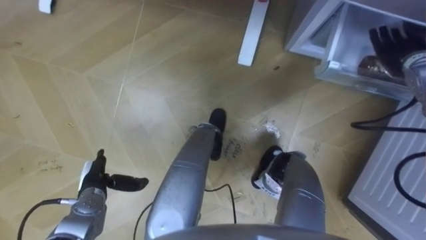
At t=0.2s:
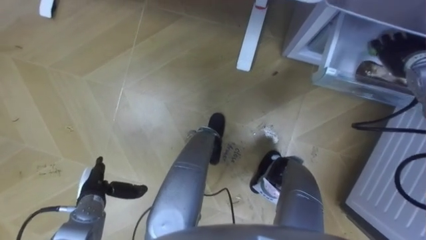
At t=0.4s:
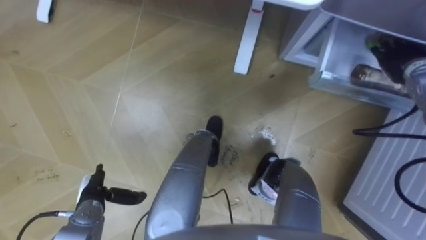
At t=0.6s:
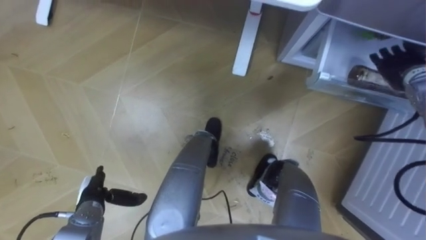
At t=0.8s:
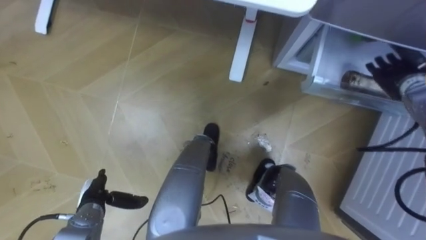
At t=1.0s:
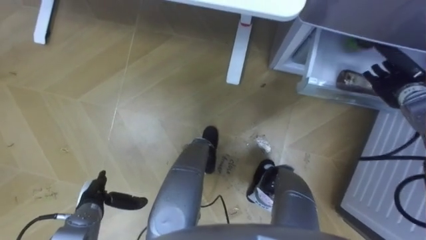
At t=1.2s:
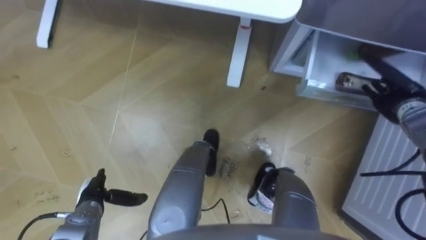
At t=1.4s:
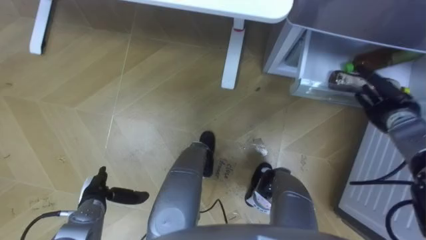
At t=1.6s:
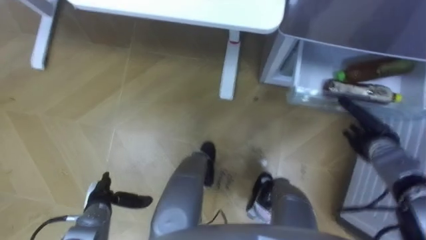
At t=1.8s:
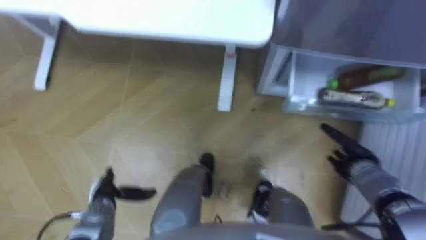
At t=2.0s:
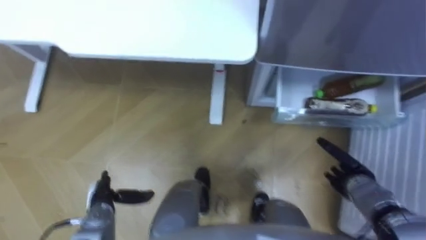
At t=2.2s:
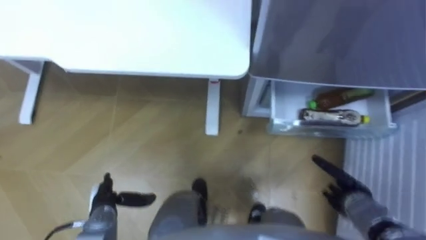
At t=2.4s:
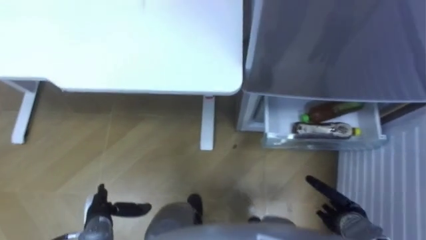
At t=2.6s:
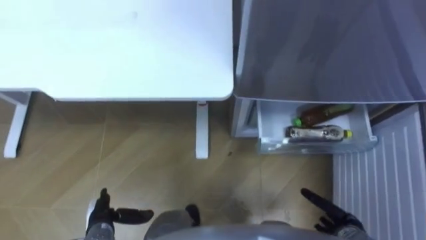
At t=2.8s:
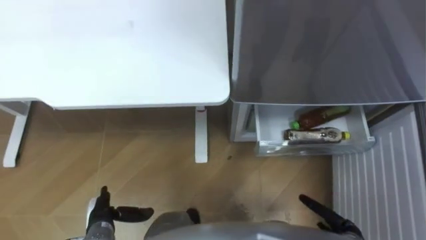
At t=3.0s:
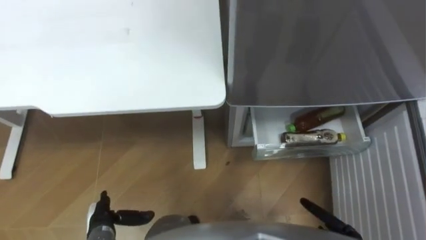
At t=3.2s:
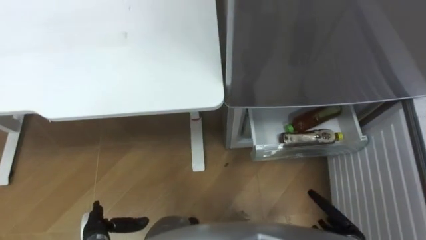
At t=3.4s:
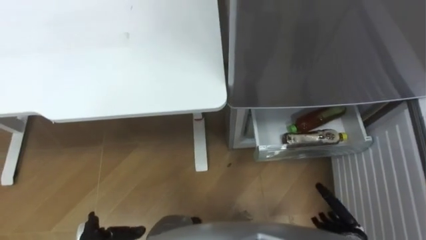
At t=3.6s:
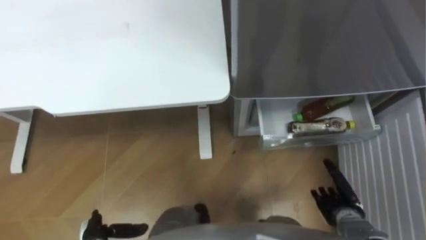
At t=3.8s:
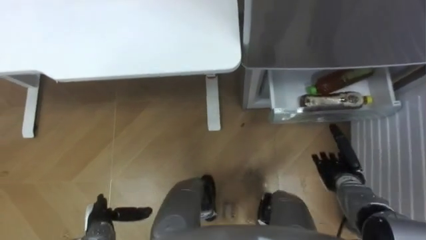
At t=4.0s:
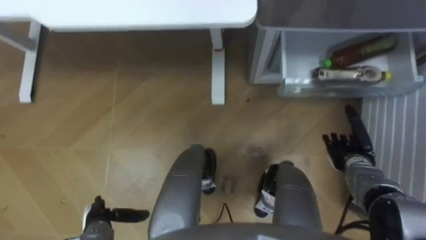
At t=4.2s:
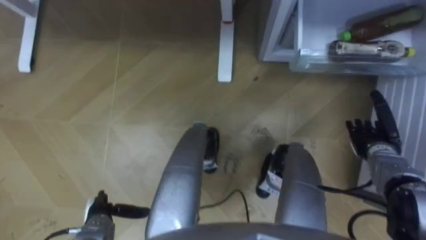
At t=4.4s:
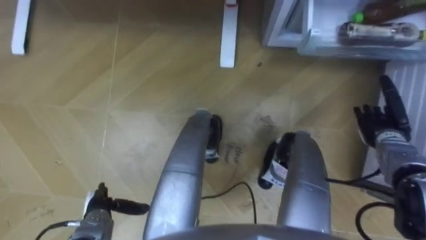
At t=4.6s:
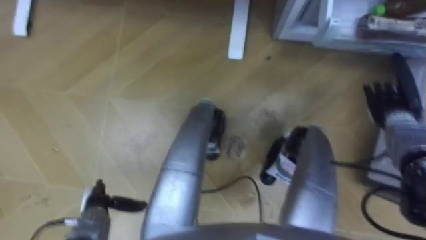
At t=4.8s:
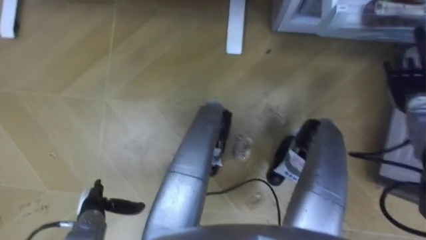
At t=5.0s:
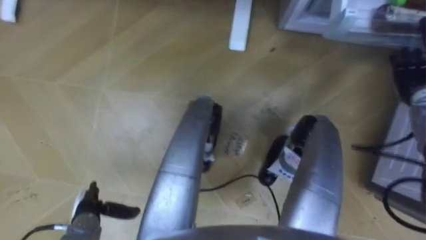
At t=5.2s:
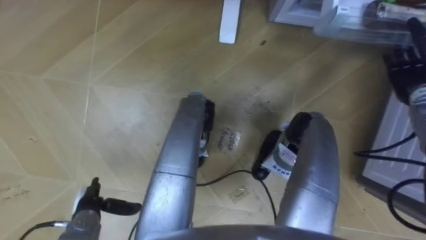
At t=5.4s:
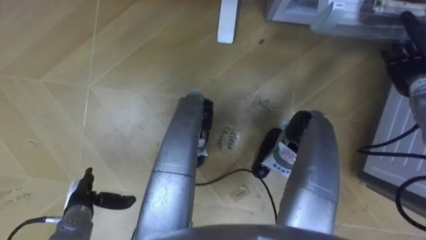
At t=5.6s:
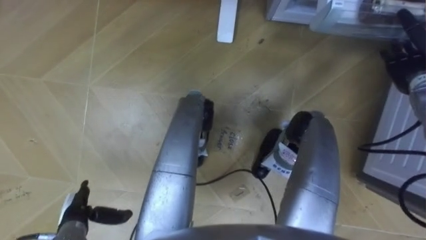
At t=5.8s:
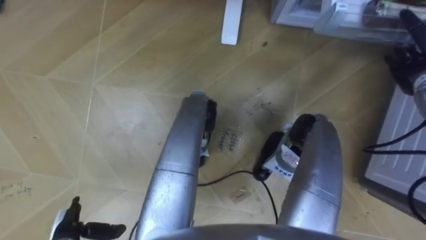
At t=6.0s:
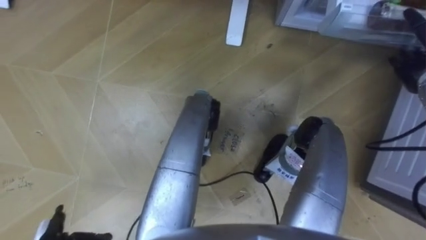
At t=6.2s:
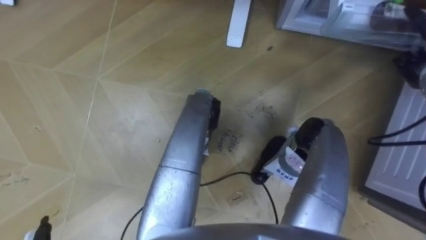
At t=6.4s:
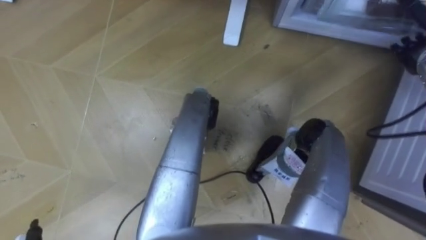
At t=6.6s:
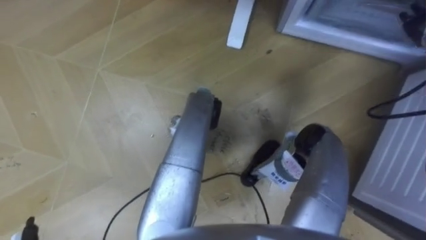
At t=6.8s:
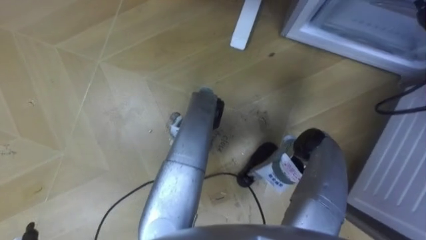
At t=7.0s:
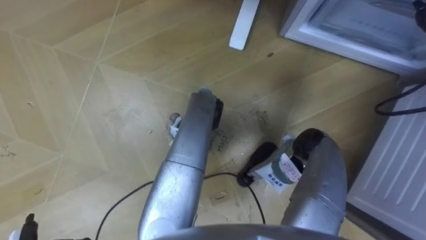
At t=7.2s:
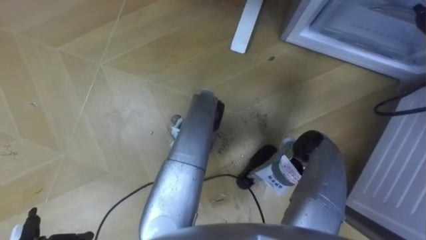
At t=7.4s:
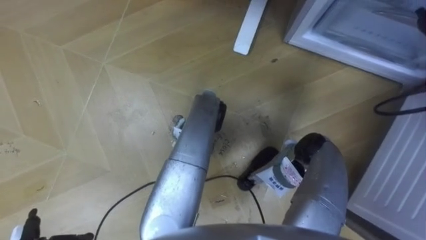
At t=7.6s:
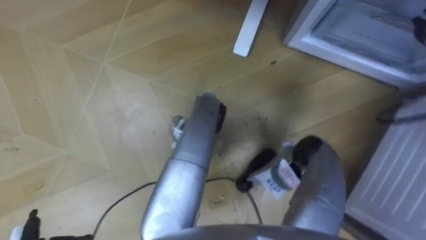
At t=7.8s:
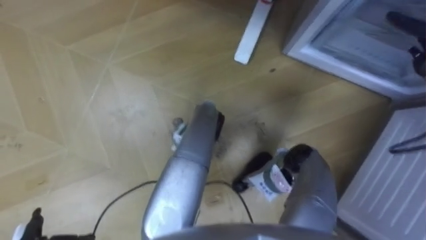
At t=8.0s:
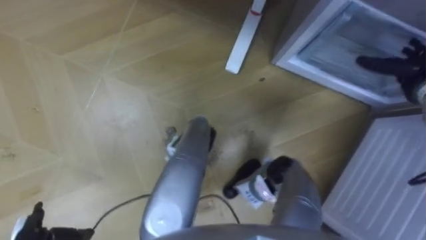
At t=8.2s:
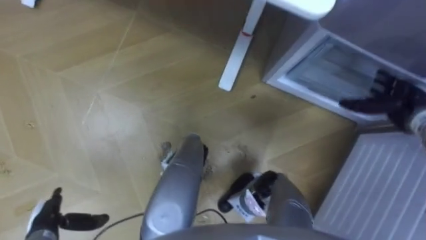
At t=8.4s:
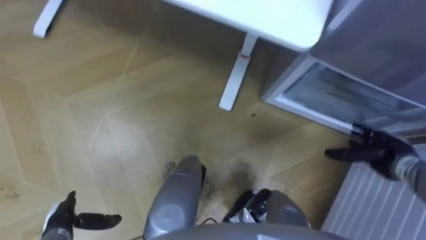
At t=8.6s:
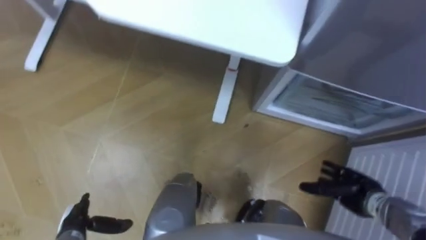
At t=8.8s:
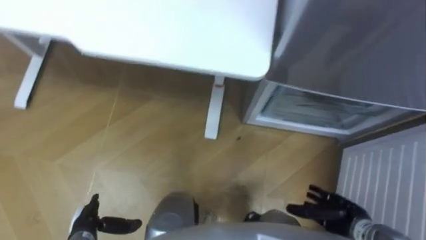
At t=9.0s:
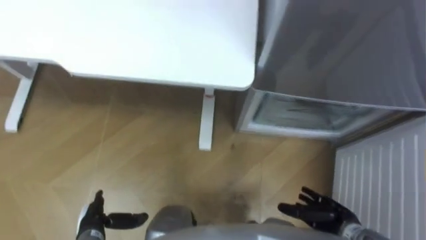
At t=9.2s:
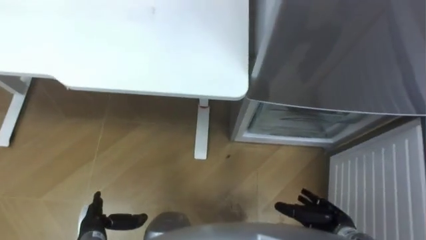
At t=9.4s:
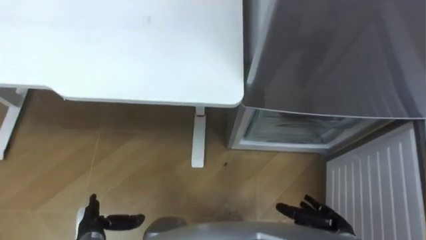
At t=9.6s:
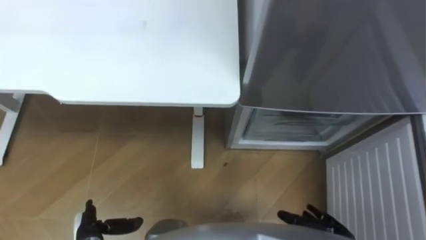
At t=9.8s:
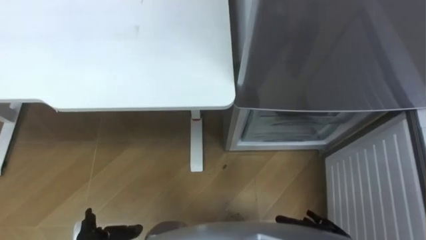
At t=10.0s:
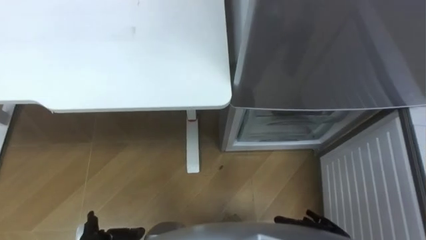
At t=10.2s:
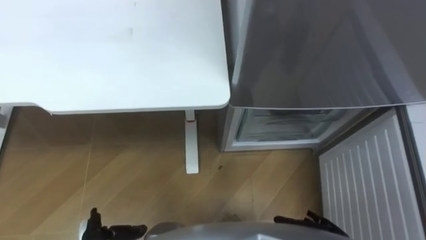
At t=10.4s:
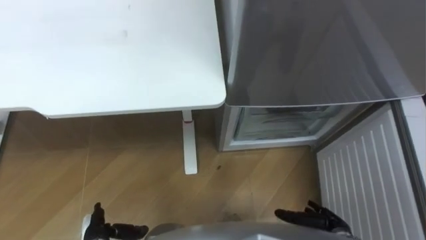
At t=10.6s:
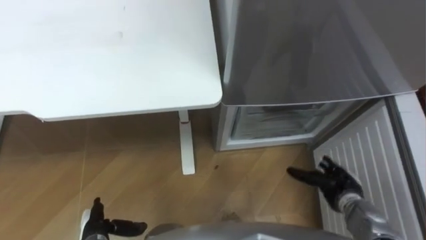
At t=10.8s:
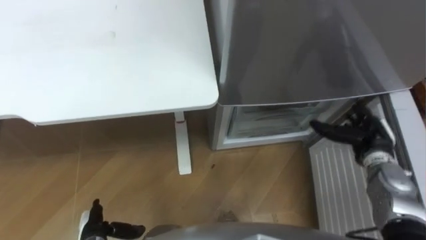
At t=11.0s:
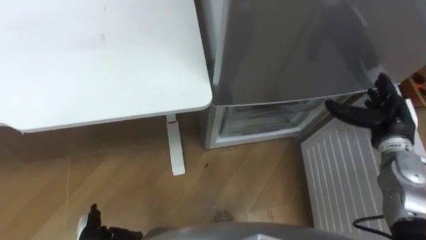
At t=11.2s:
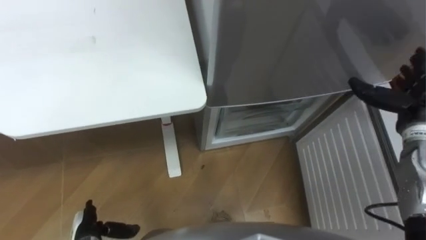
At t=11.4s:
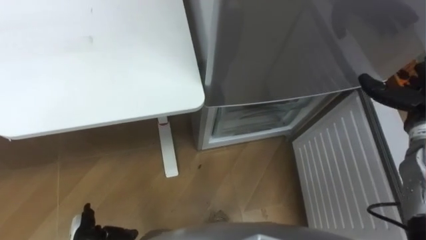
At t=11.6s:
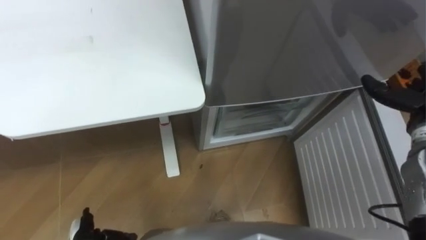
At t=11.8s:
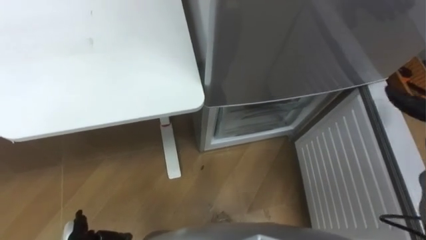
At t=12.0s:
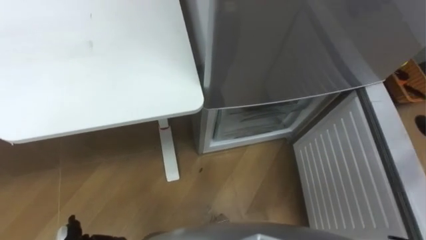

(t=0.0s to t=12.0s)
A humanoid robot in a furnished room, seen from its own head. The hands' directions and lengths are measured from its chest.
Task of the whole recording: Place the drink on the table on the bottom shelf of the refrigerator, then close the drawer and the refrigerator door.
t=0.0s - t=1.6s: The right hand is displaced downward and backward by about 20 cm.
t=1.6s - t=3.0s: The right hand is displaced backward and downward by some 20 cm.
t=3.0s - t=4.4s: The right hand heads forward and upward, covering approximately 25 cm.
t=4.4s - t=6.0s: The right hand is displaced upward and forward by roughly 15 cm.

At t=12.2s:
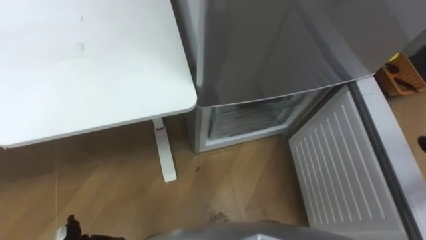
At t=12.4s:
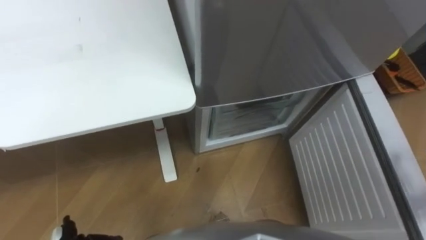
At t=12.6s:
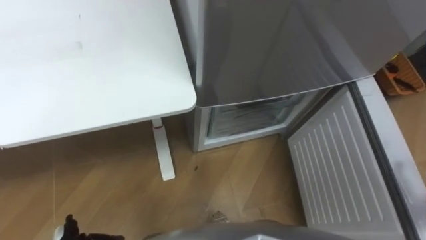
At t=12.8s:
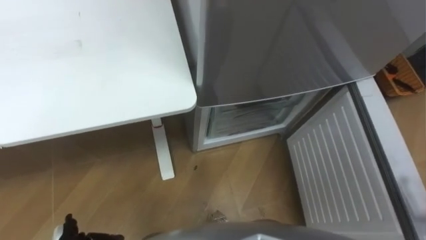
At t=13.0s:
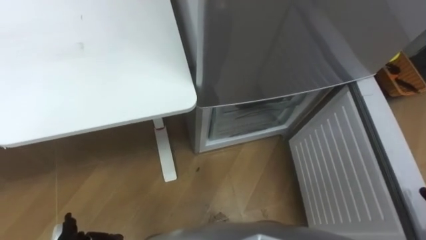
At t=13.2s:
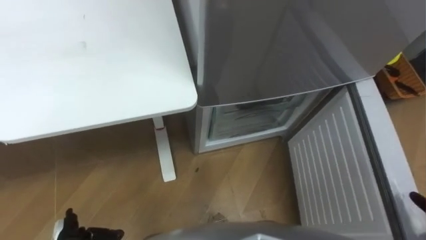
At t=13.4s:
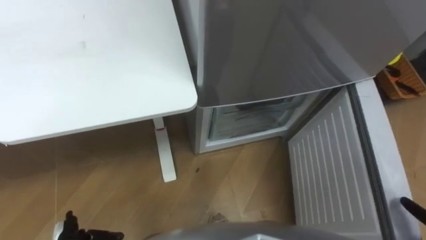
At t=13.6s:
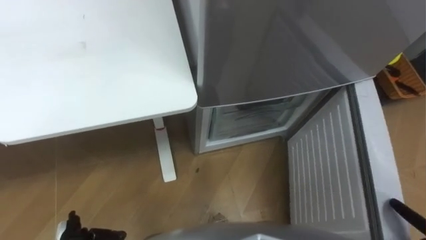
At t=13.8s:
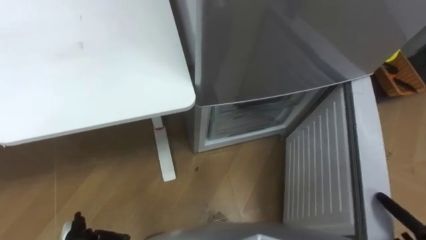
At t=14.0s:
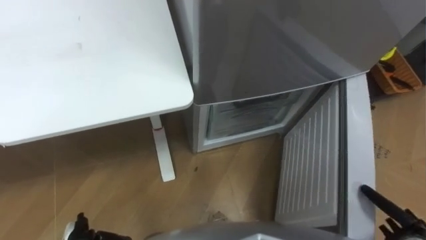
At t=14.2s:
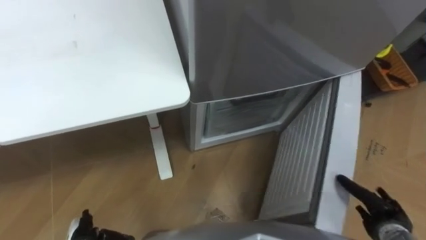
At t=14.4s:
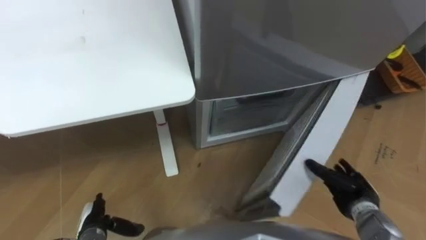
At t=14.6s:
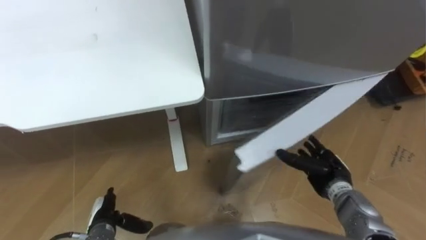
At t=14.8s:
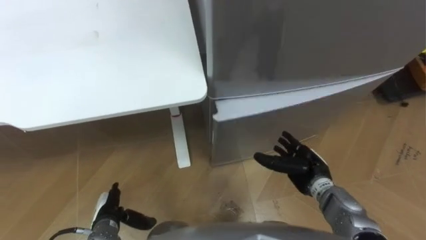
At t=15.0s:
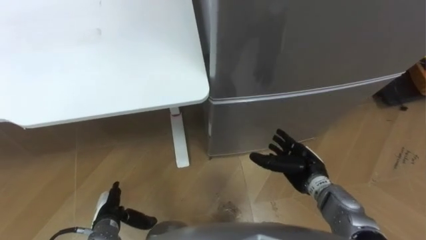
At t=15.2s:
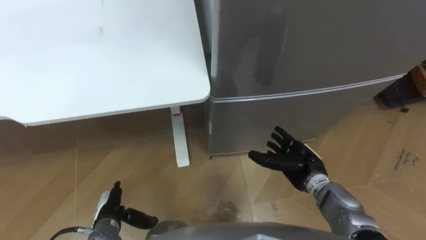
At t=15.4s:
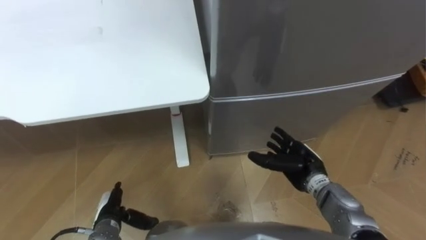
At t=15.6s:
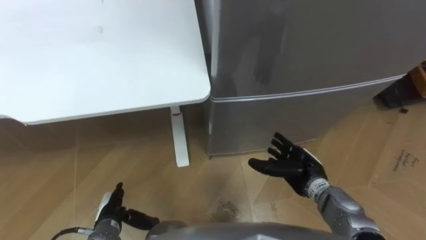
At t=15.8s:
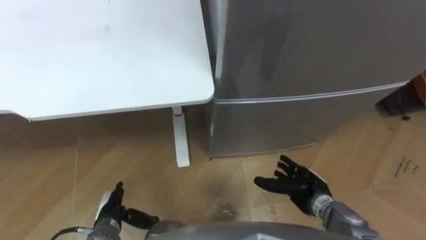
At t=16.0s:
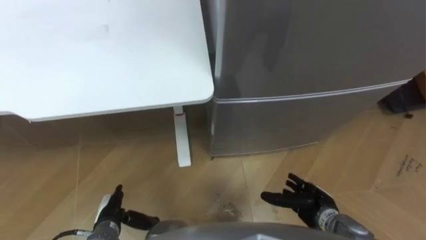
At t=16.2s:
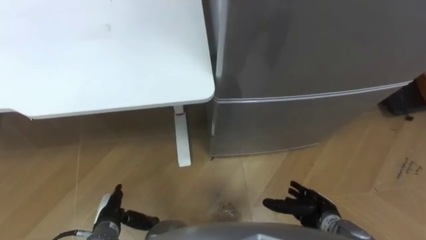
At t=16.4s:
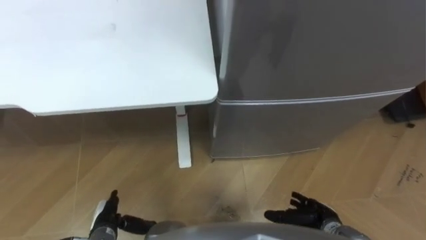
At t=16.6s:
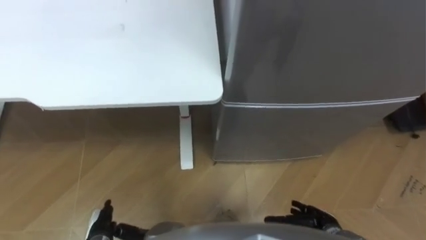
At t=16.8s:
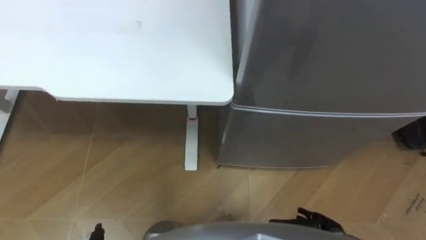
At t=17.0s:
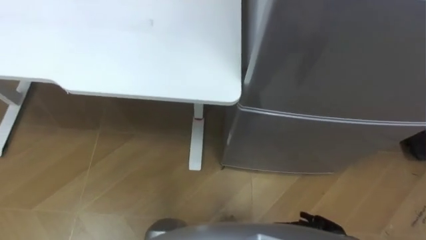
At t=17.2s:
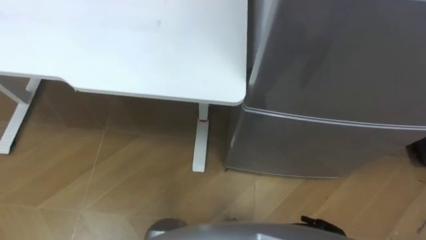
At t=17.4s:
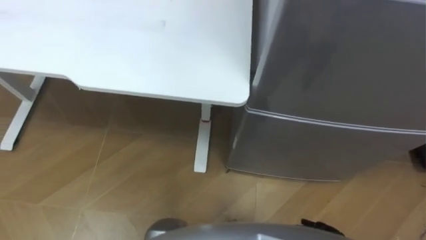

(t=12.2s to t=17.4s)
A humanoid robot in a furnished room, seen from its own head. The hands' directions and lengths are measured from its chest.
Task of the whole recording: Place the drink on the table on the bottom shelf of the refrigerator, then close the drawer and the refrigerator door.
t=14.0s - t=15.6s: The right hand shifts approximately 25 cm to the left and forward.
